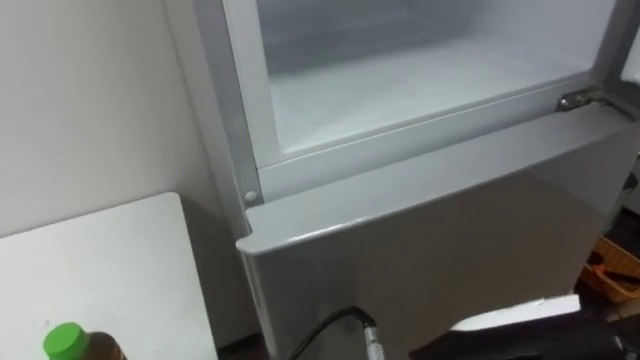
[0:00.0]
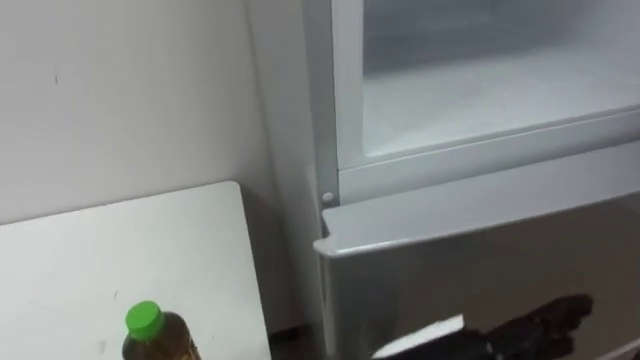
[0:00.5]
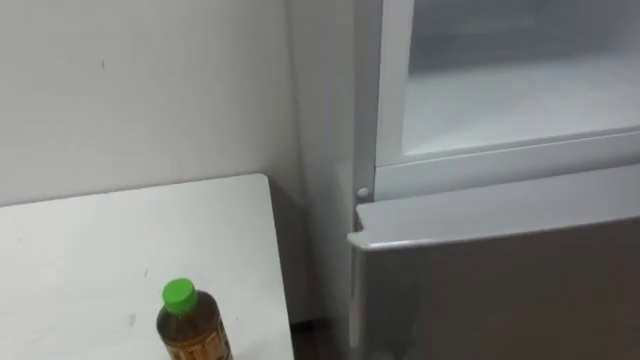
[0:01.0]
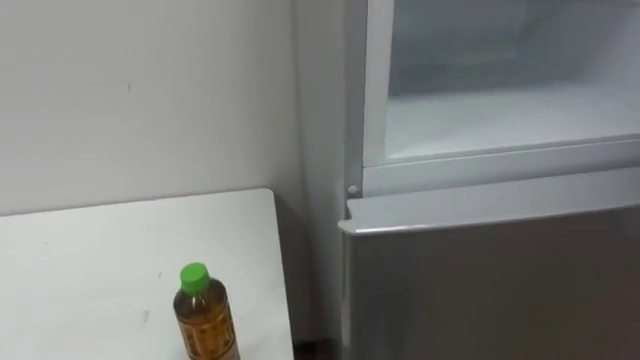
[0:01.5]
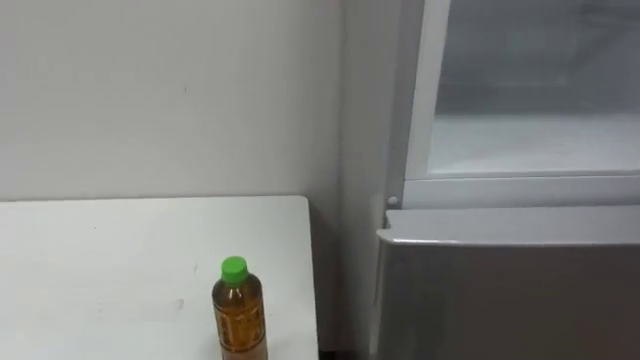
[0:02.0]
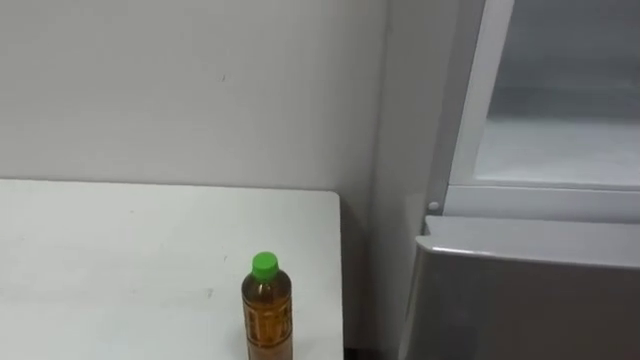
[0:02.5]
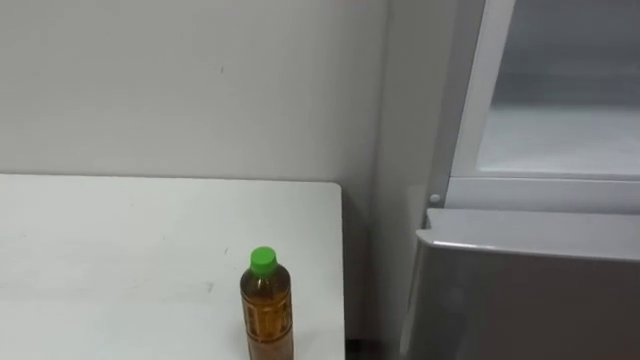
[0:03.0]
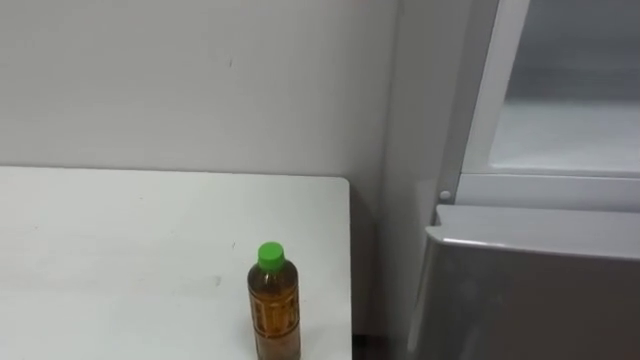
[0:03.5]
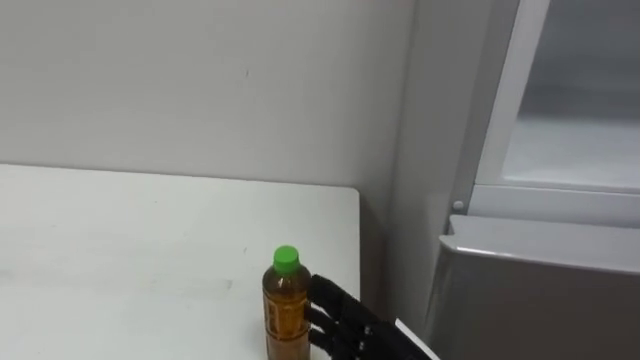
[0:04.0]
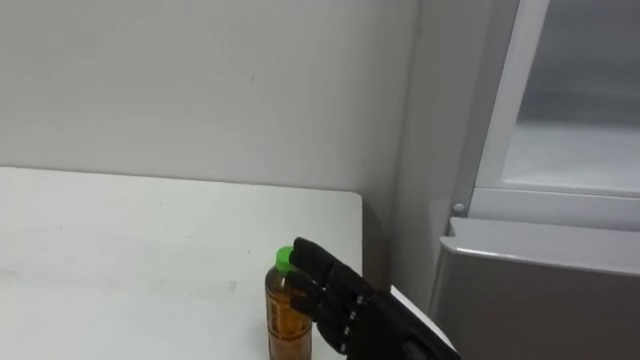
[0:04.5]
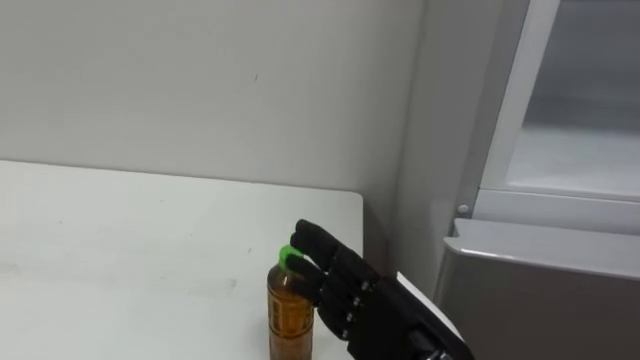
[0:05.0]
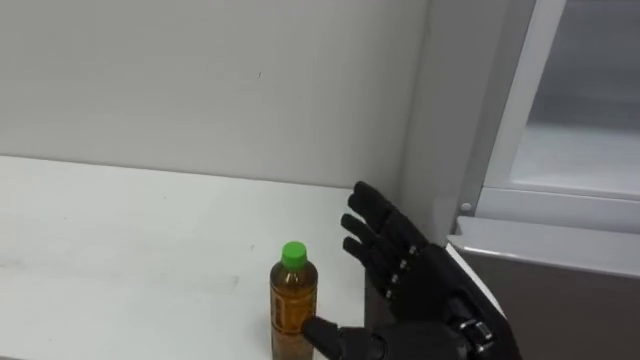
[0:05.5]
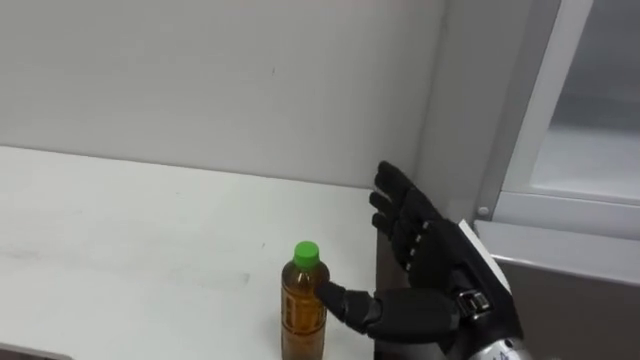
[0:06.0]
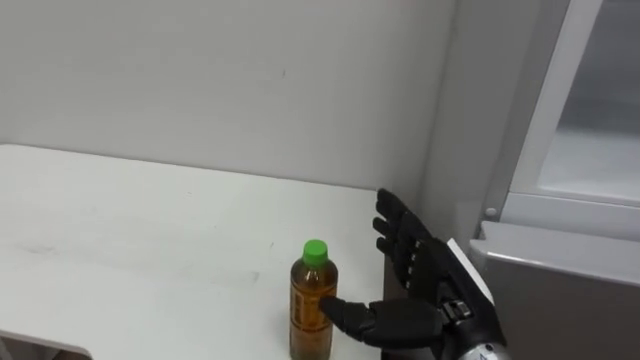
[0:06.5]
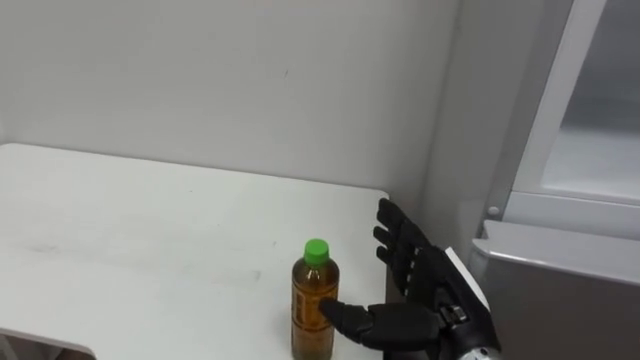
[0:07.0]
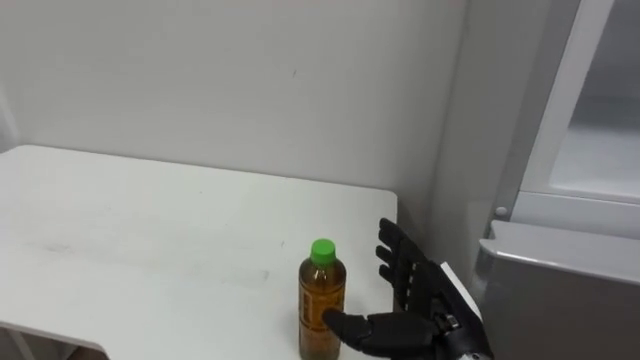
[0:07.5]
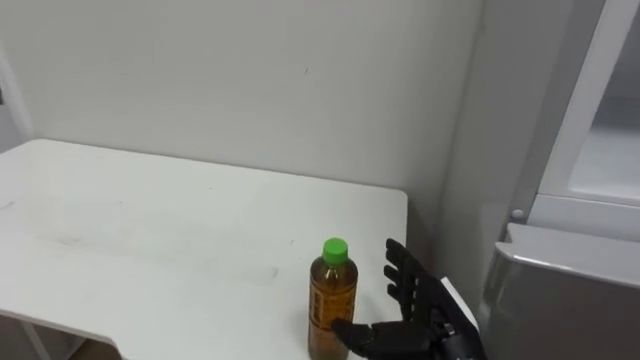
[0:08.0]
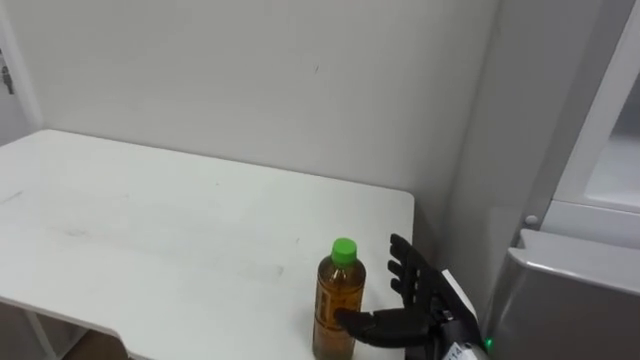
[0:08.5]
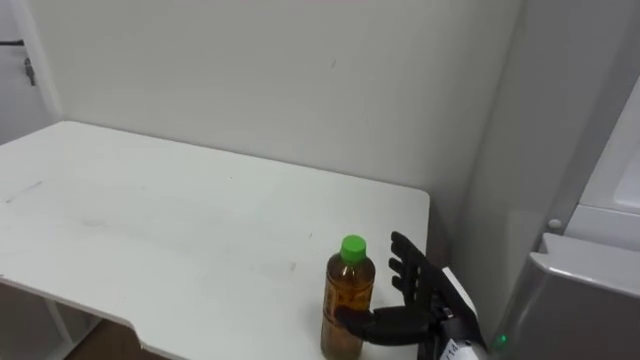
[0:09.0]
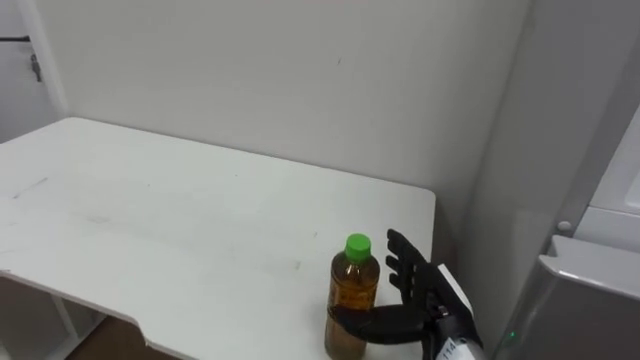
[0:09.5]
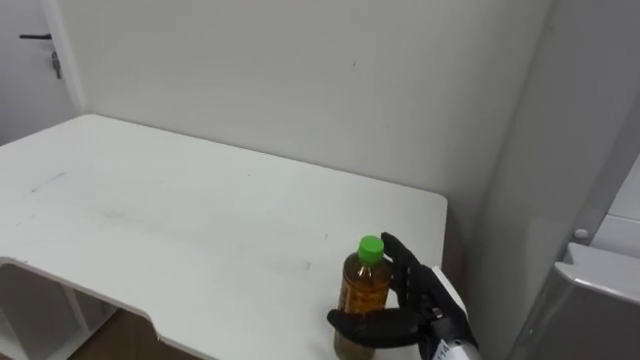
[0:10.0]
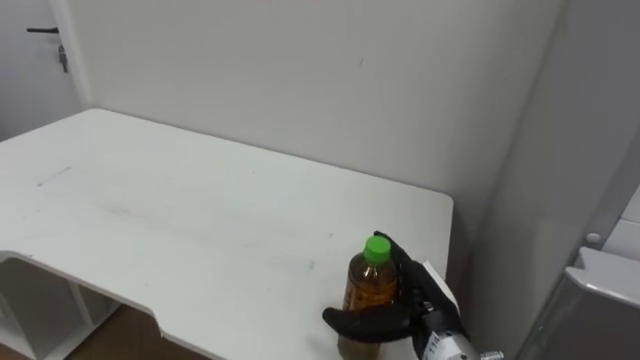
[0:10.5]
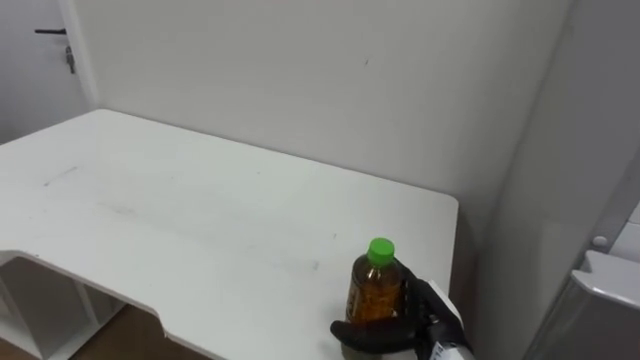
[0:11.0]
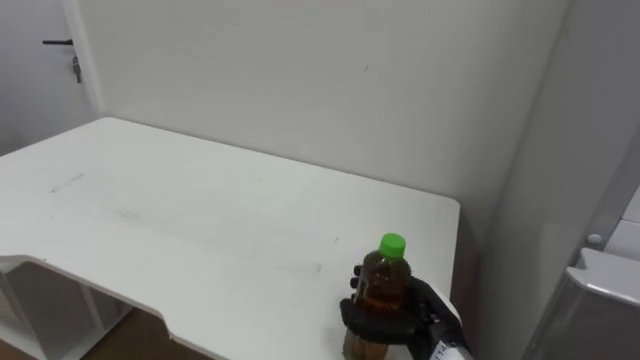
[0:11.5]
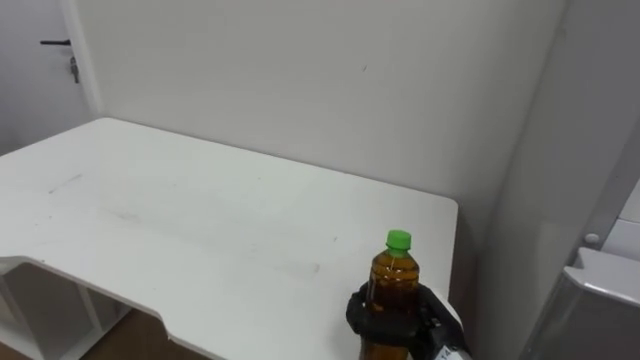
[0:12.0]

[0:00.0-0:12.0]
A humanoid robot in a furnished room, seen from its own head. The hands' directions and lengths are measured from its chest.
Task of the whole recording: Open the upper refrigerator door, put the drink from the table into the refrigerator, and then close the refrigerator door.
0:06.0 to 0:08.0: The right hand travels downward by some 10 cm.
0:10.0 to 0:12.0: The right hand closes.

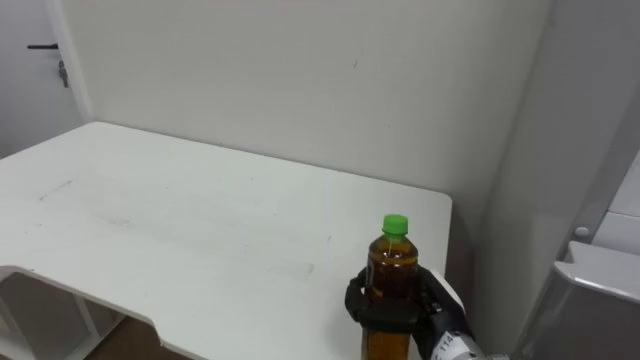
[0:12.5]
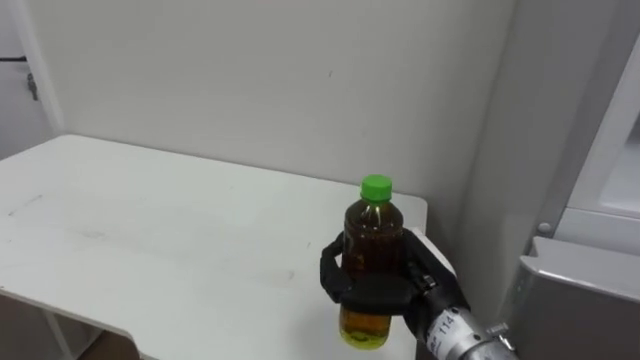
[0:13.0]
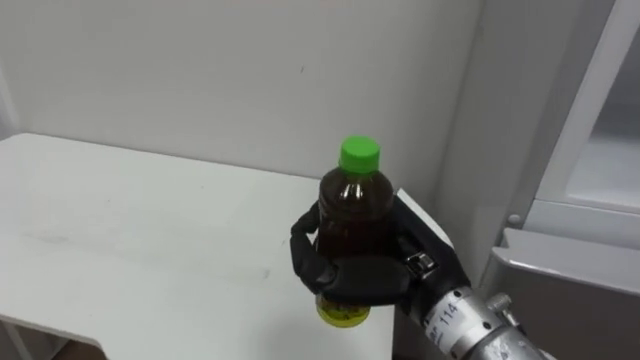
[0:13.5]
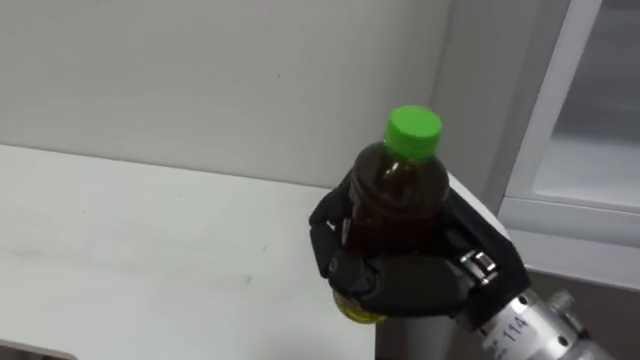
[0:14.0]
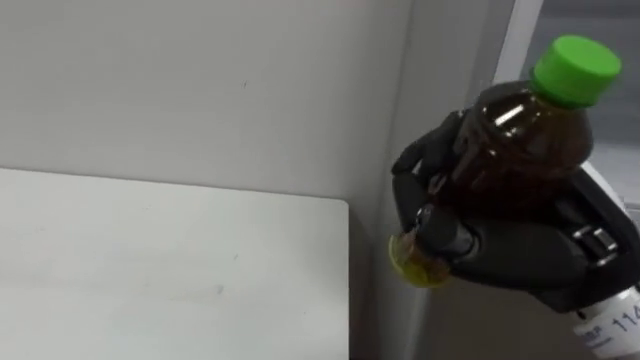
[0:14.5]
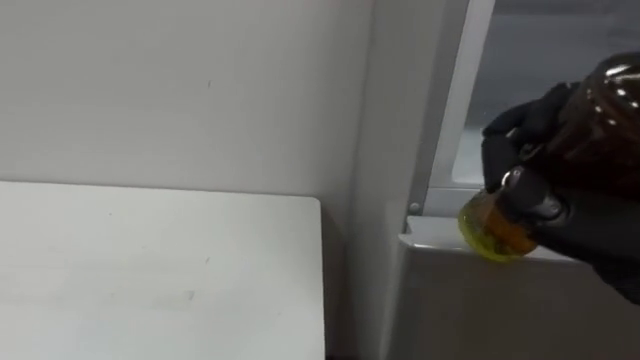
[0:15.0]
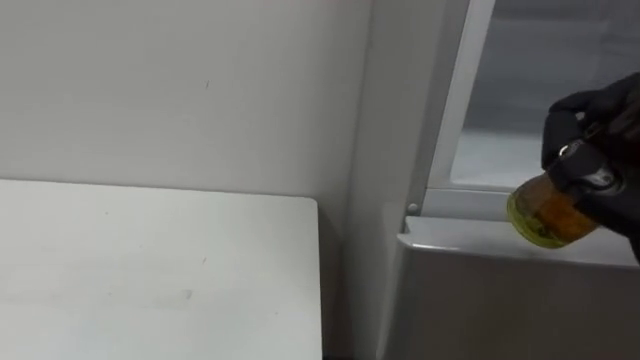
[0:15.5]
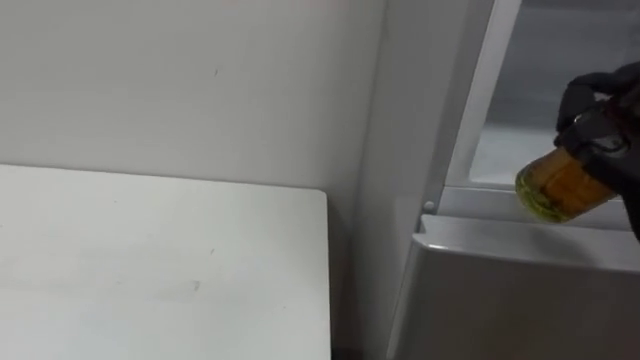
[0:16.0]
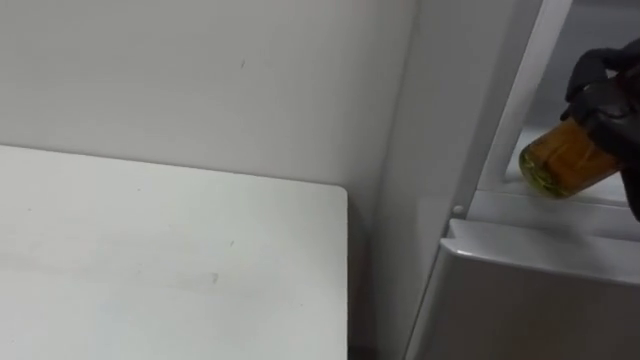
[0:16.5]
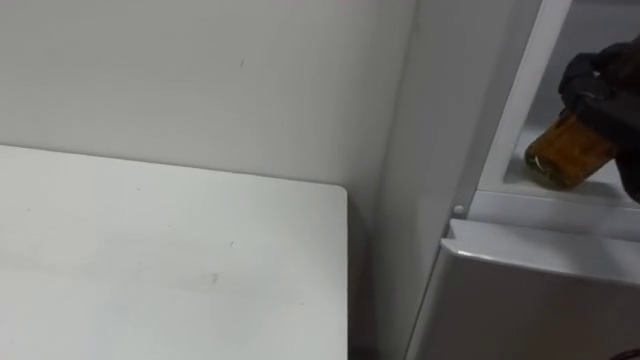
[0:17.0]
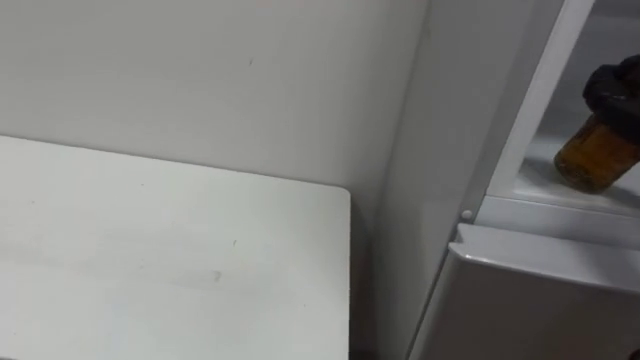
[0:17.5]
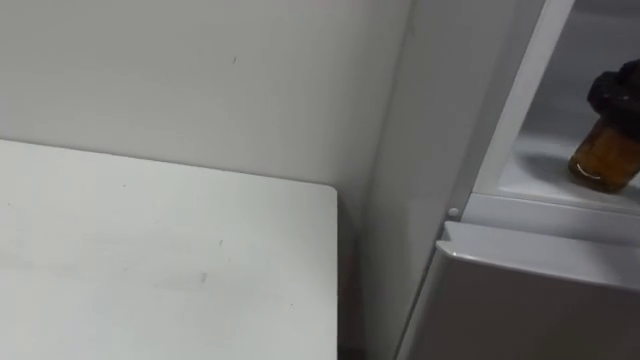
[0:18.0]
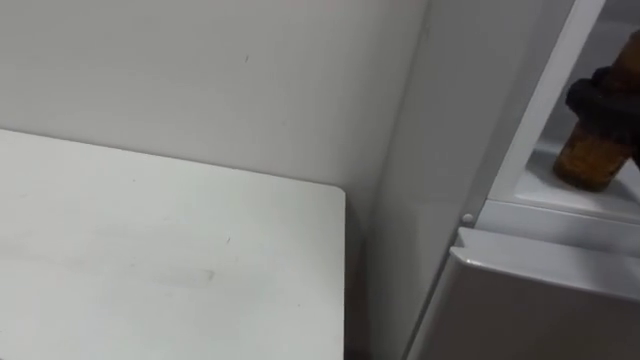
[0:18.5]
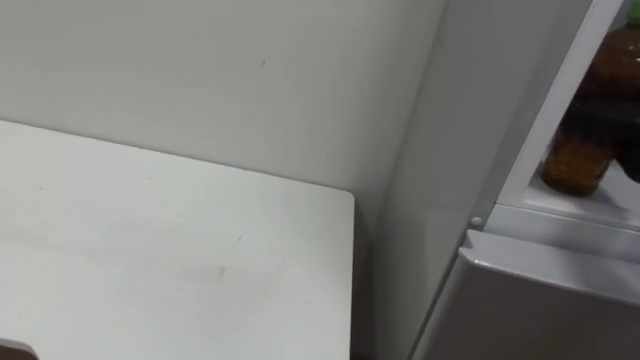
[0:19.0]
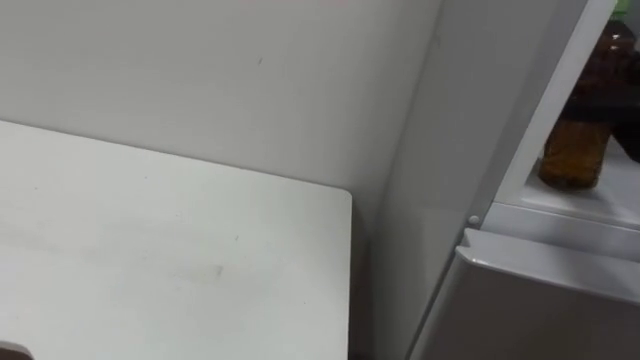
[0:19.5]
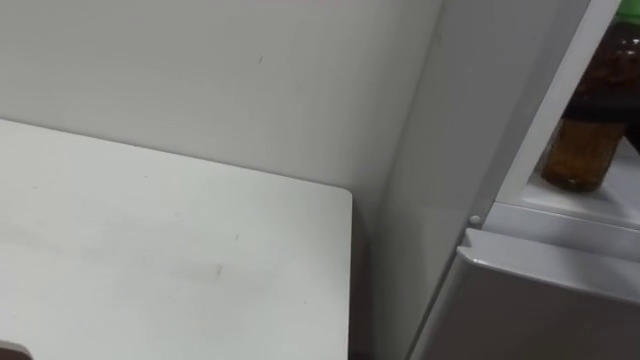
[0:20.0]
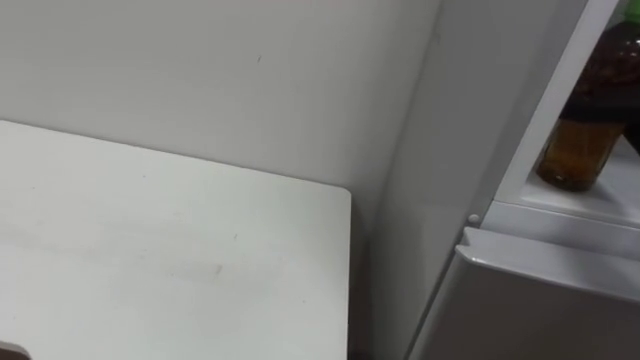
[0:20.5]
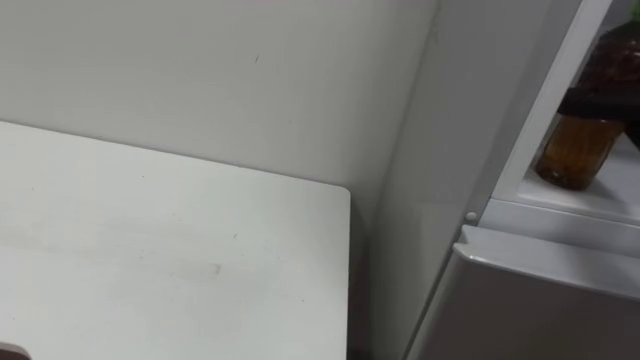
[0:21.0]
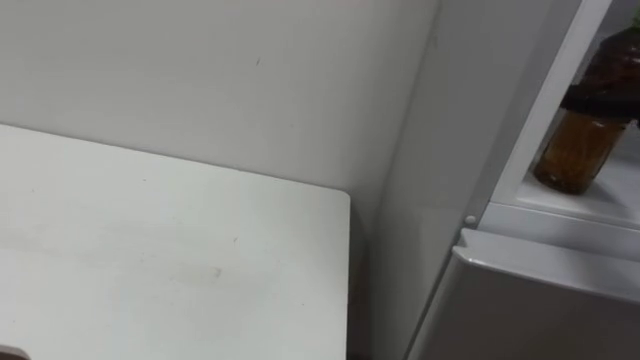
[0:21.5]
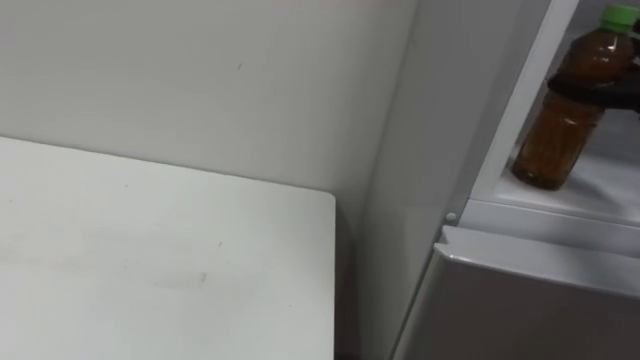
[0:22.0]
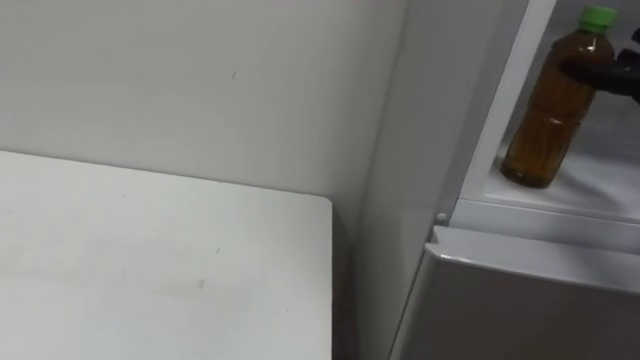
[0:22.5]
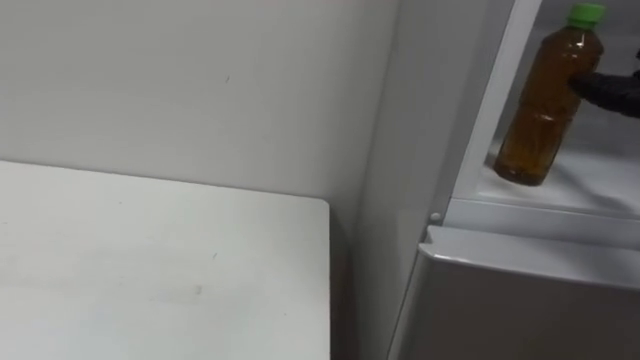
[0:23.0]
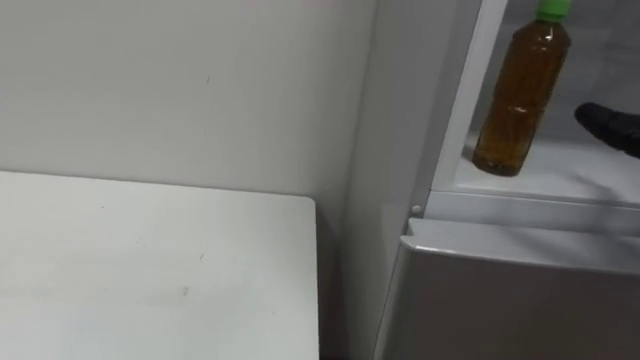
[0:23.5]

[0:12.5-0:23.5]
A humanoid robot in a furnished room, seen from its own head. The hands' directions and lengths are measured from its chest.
Task of the whole recording: Open the upper refrigerator door, put the drink from the table into the refrigerator, and then close the refrigerator door.
0:12.5 to 0:14.5: The right hand goes about 25 cm upward and backward.
